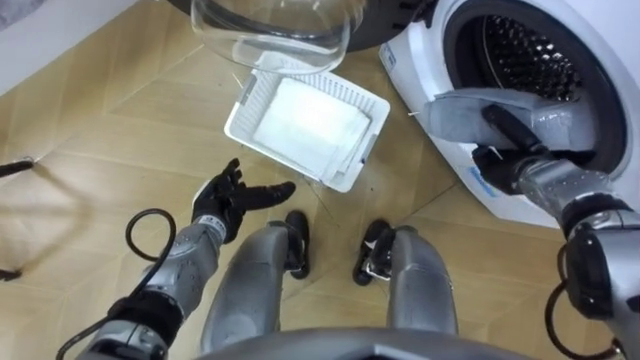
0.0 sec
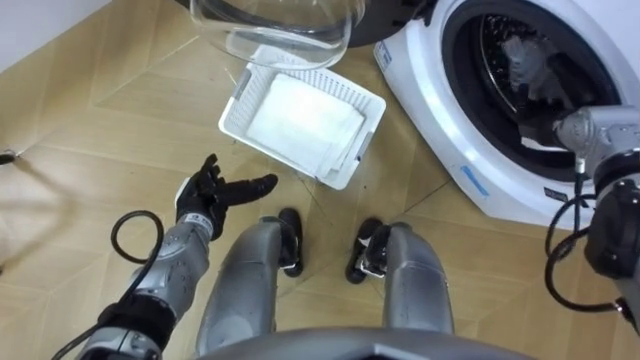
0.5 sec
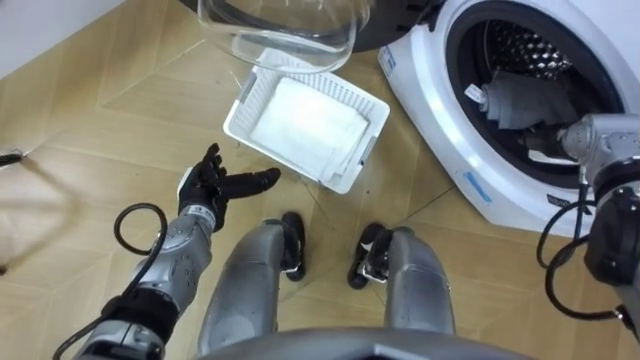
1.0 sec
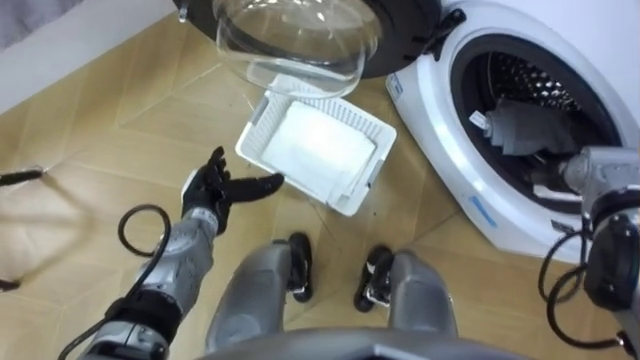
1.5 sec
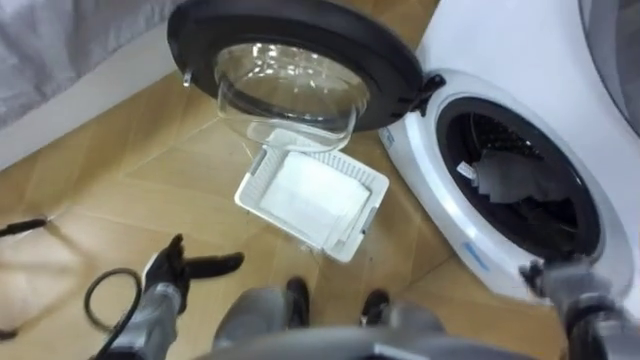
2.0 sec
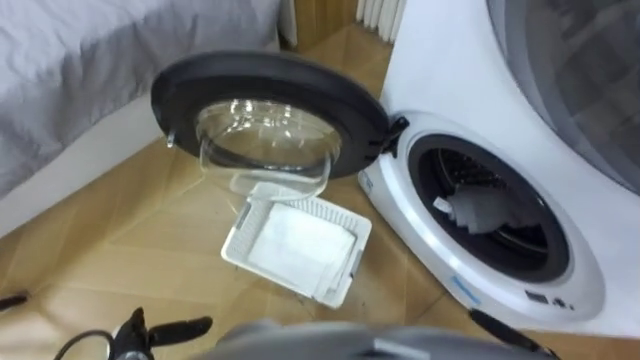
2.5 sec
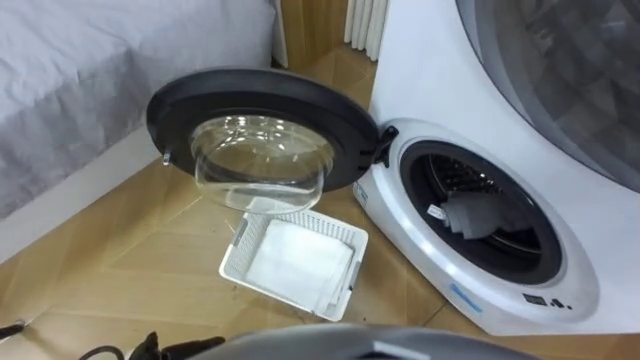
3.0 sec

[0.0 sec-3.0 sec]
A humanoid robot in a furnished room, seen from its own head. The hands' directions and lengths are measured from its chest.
Task of the whole recording: Take the towel from the basket and put it into the washing machine.
0.0 sec to 1.5 sec: The right hand is displaced to the right by roughly 5 cm, and opens up.

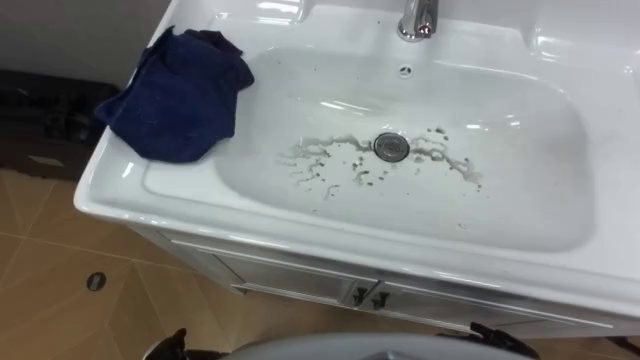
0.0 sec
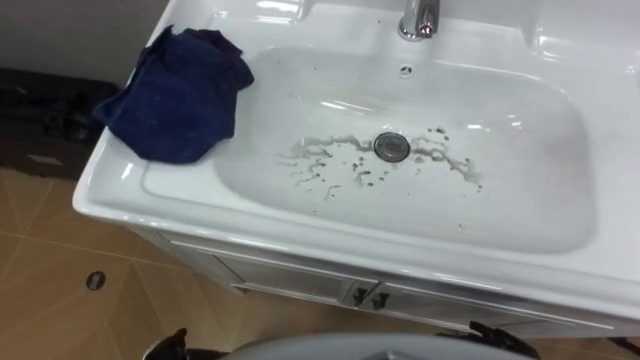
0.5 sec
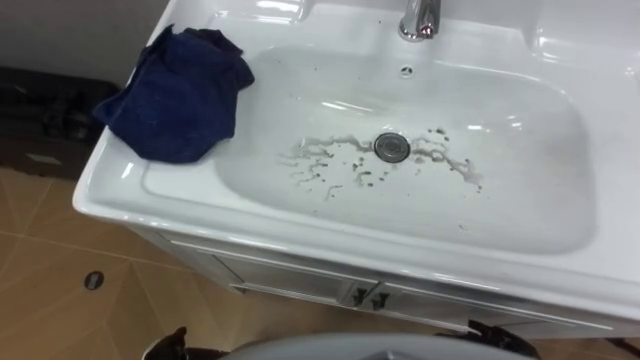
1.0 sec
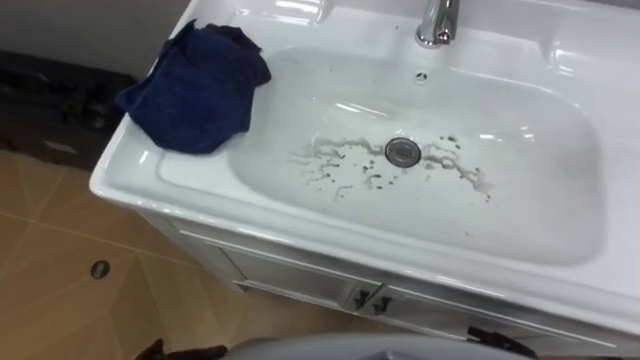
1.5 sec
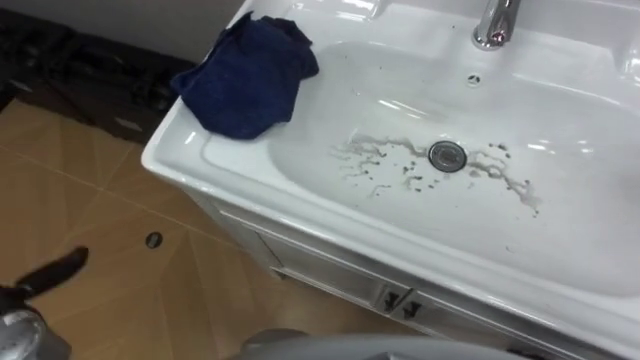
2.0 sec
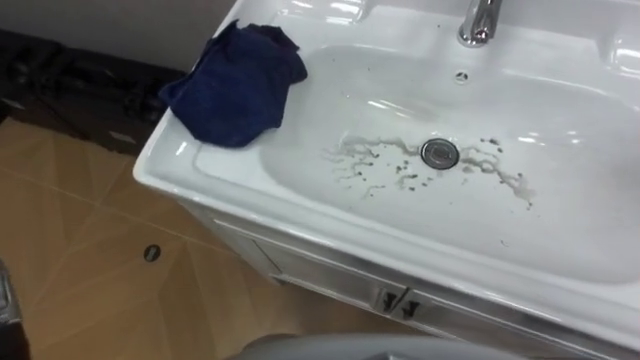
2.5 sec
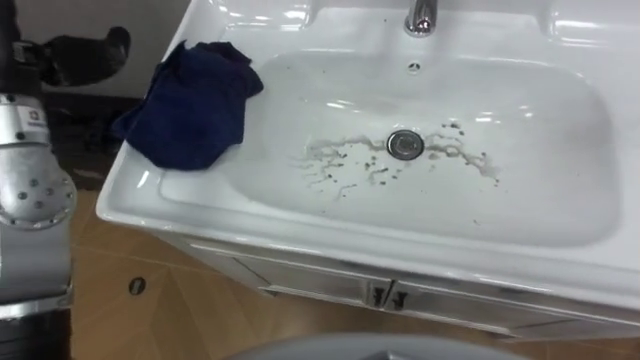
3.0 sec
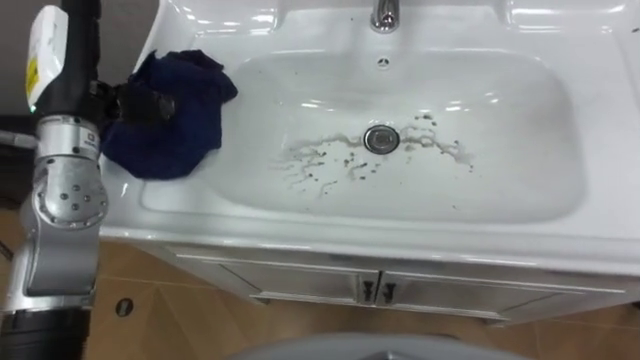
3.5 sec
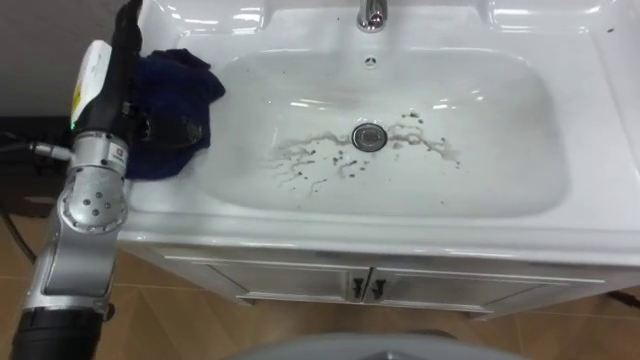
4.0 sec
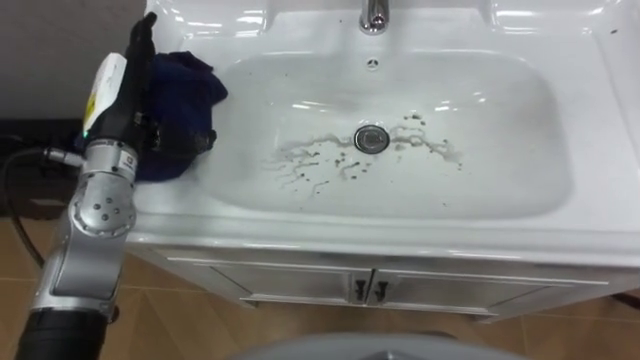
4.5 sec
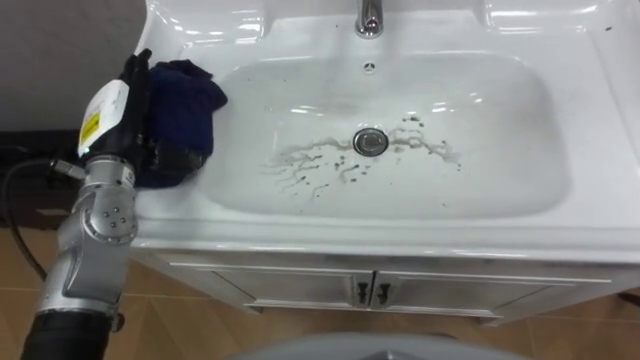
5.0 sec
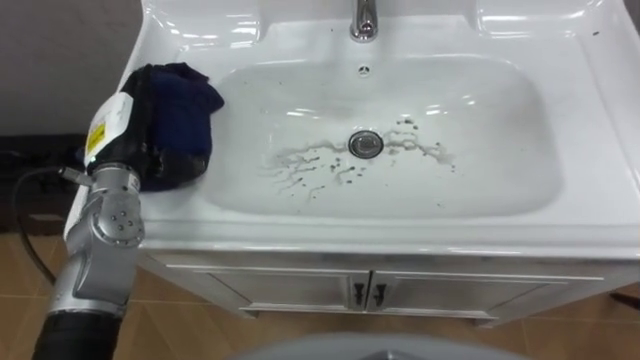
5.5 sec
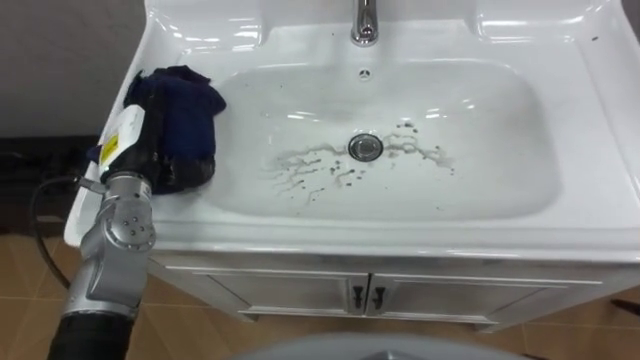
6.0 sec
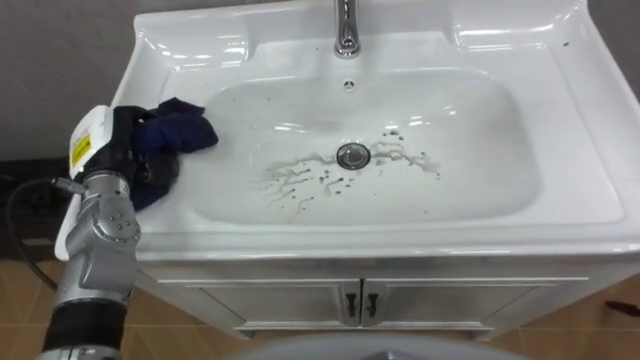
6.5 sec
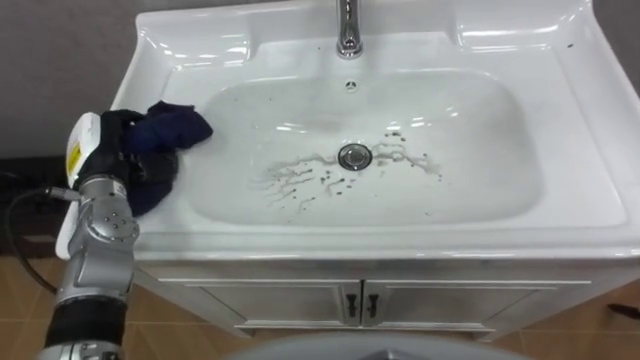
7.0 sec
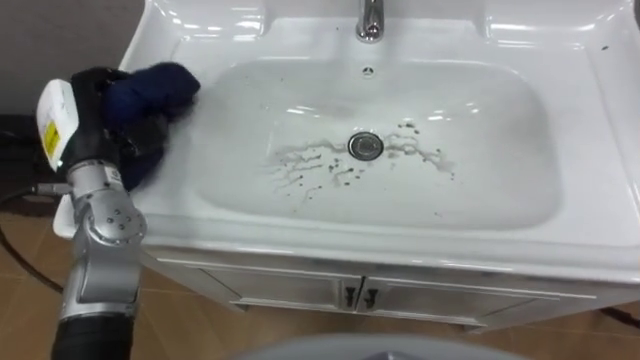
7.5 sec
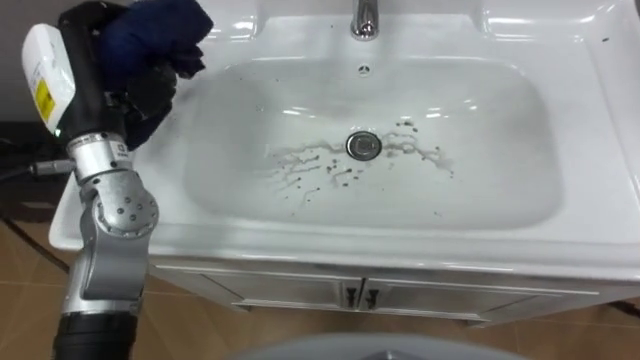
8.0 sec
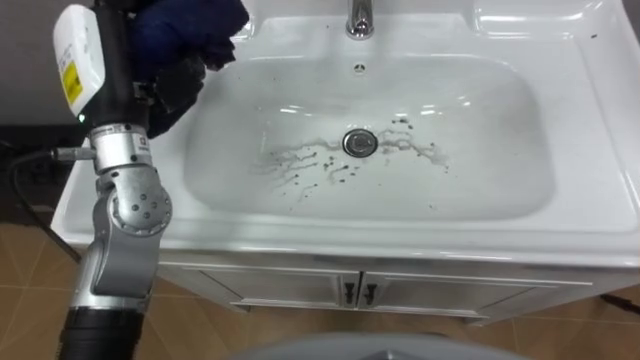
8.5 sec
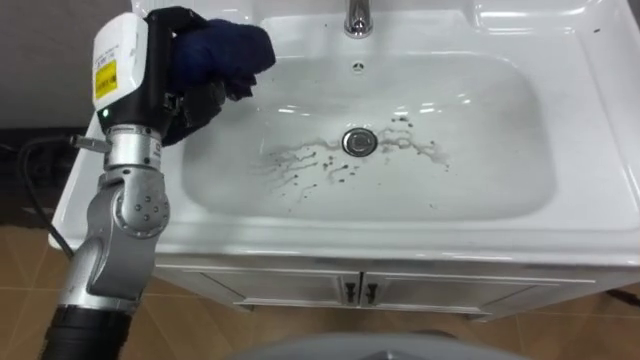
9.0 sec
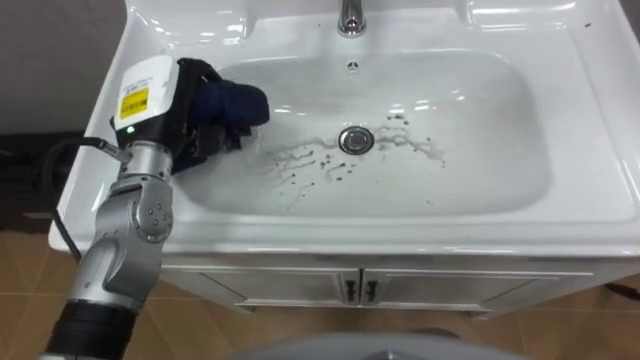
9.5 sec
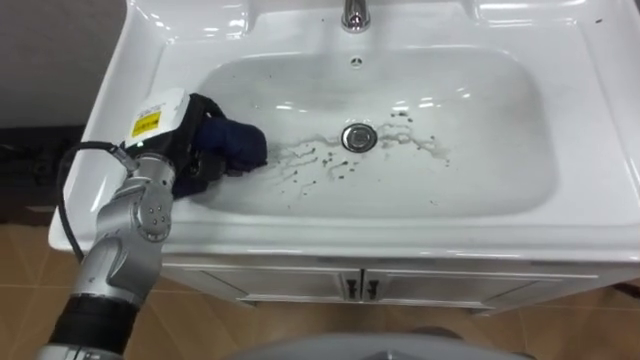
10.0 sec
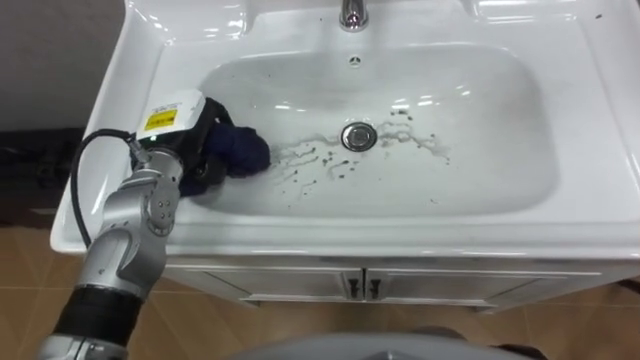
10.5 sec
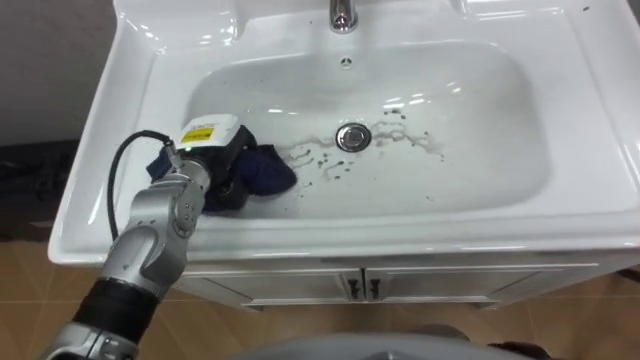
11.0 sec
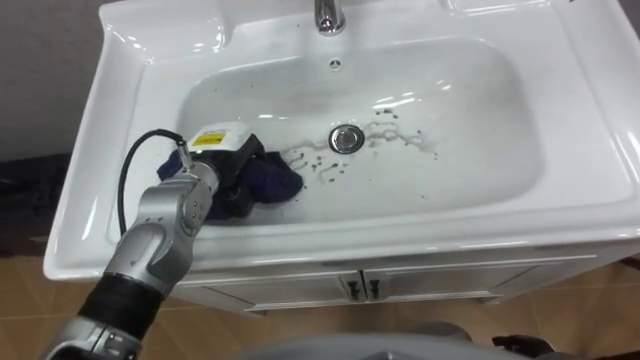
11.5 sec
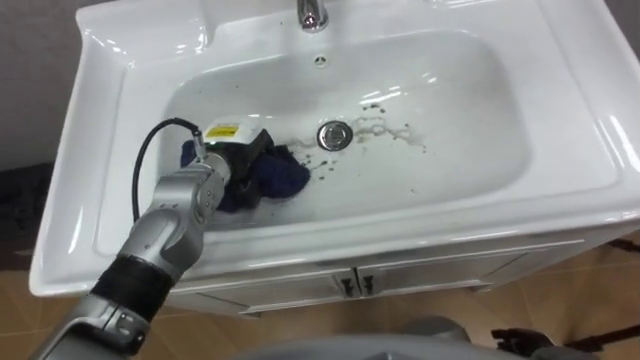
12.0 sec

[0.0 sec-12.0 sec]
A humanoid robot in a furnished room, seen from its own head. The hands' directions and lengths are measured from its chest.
Task of the whole recording: Use the cloth on the right to wipe away the black stain in the sink.
4.0 sec to 6.0 sec: The left hand heads downward, covering approximately 10 cm.
6.0 sec to 8.0 sec: The left hand heads upward, covering roughly 10 cm, and closes up.
8.0 sec to 10.0 sec: The left hand shifts roughly 10 cm downward and to the right.
10.0 sec to 12.0 sec: The left hand travels to the right by some 5 cm.

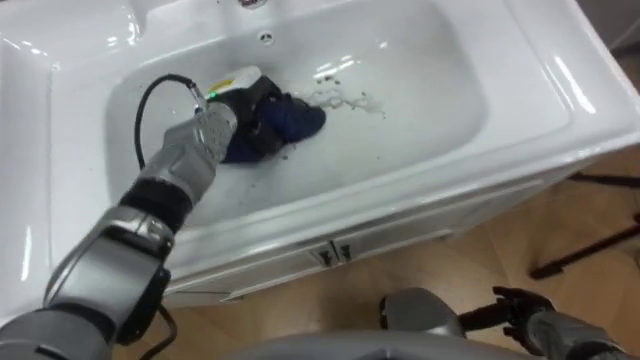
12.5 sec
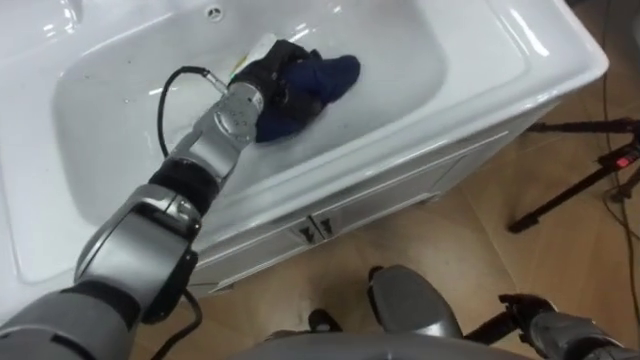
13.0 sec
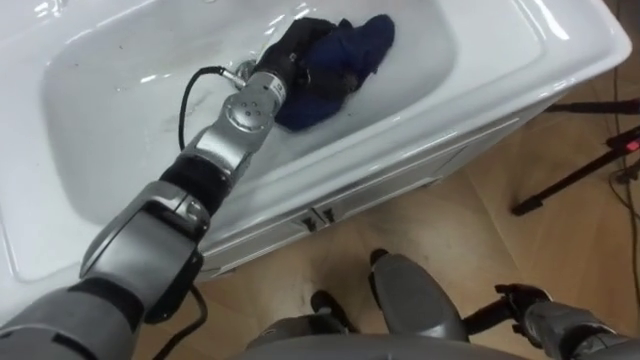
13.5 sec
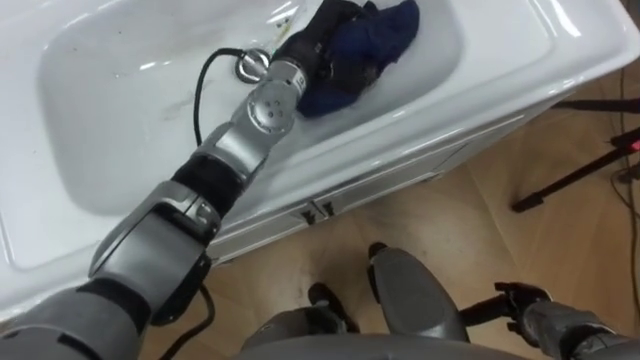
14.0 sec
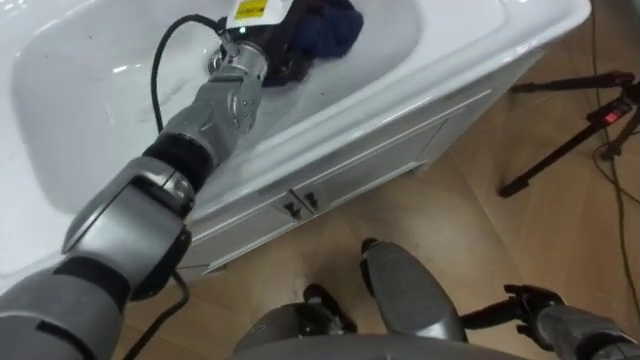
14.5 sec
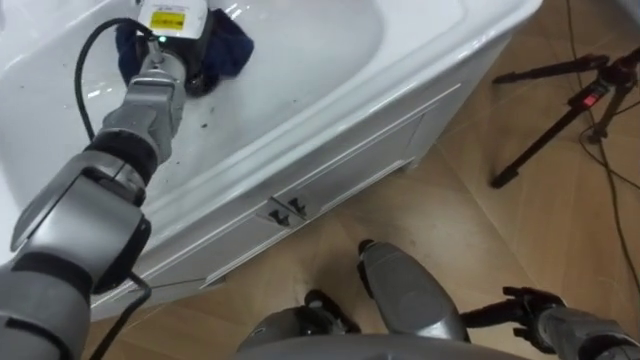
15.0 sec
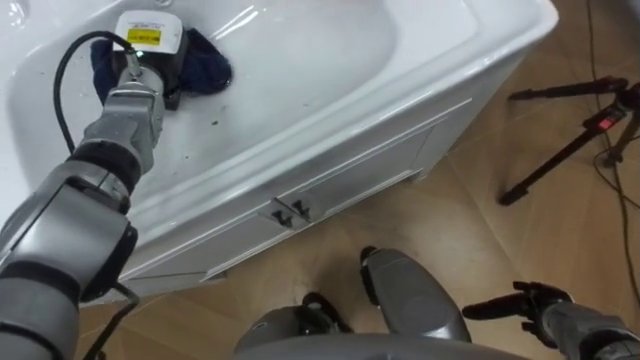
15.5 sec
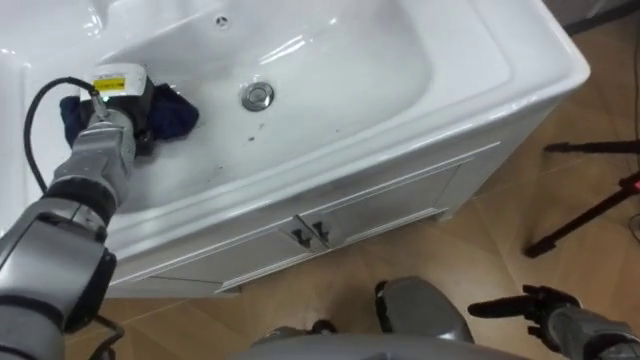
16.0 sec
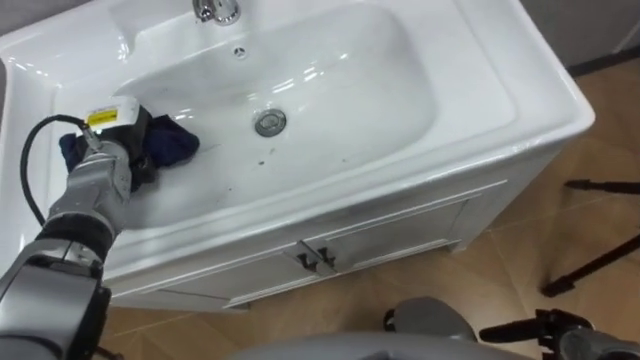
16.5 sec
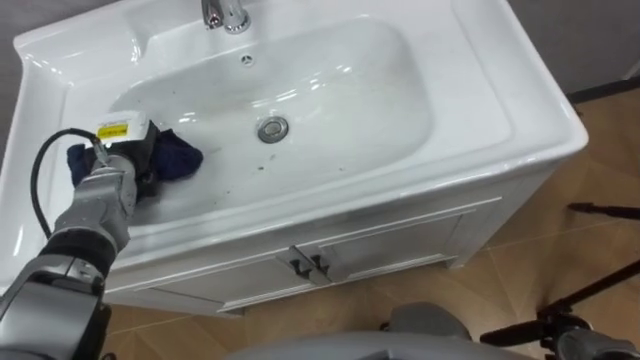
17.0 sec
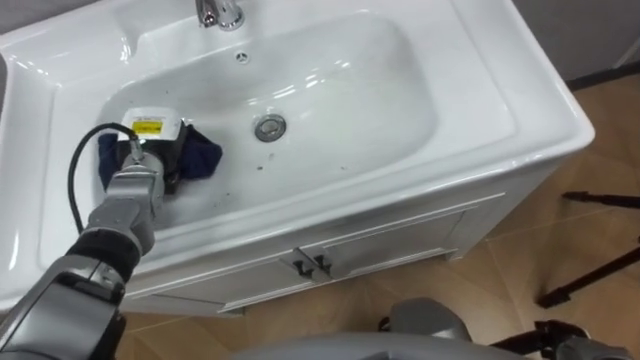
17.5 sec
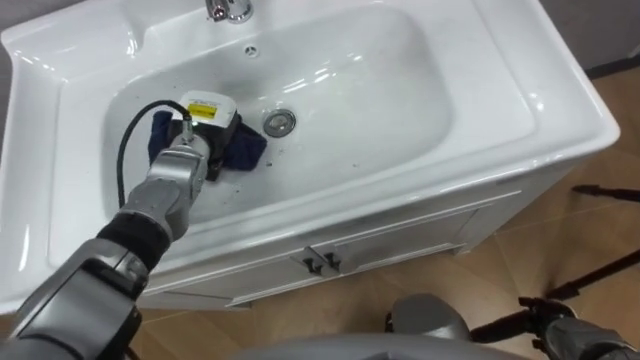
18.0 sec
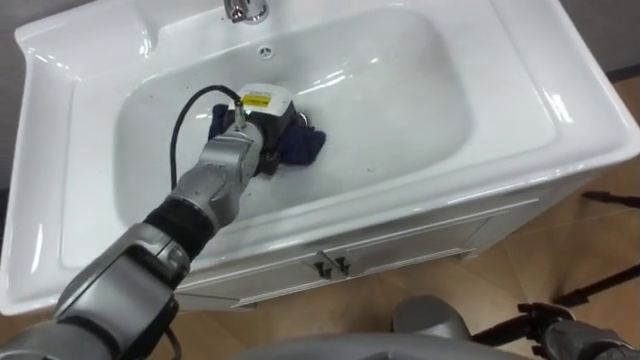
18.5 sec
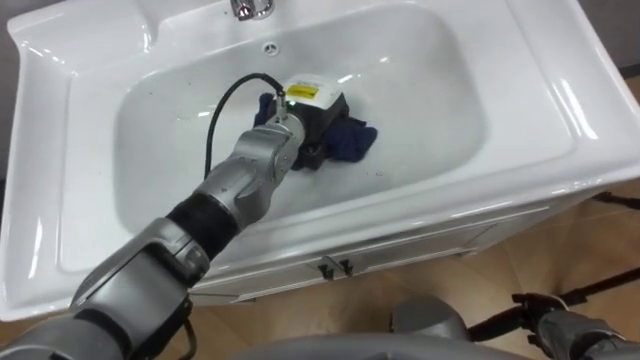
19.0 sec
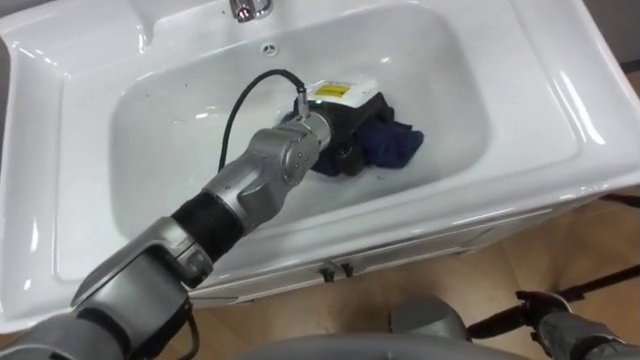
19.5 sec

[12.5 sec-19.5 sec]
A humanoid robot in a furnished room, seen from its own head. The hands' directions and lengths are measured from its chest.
Task of the whole recording: Use the cloth on the right to wipe away the black stain in the sink.
12.5 sec to 14.5 sec: The left hand is displaced upward and to the right by some 10 cm.
14.5 sec to 16.0 sec: The left hand travels to the left by roughly 20 cm.
16.0 sec to 17.5 sec: The left hand ends up roughly 5 cm from where it was.
17.5 sec to 19.5 sec: The left hand travels to the right by some 25 cm.
